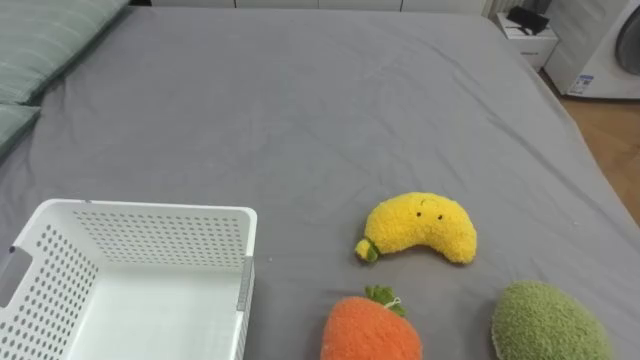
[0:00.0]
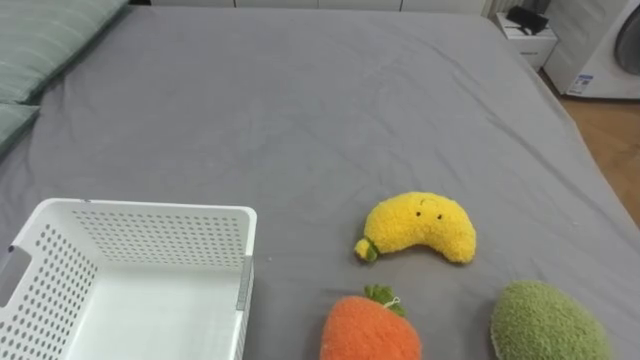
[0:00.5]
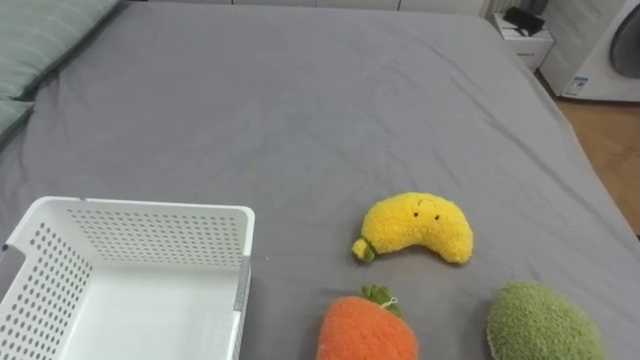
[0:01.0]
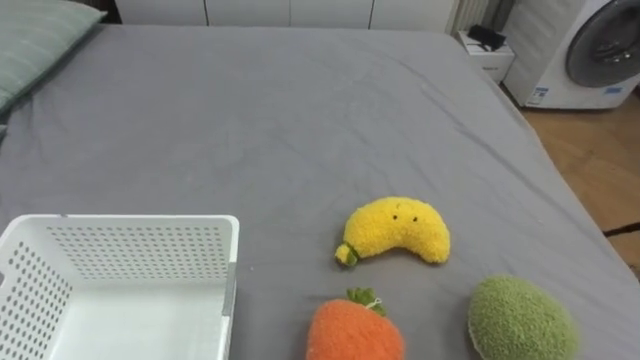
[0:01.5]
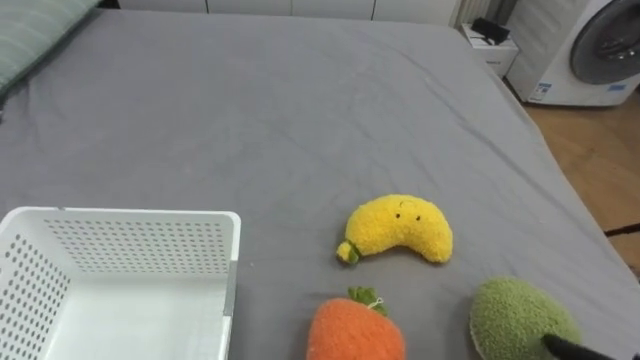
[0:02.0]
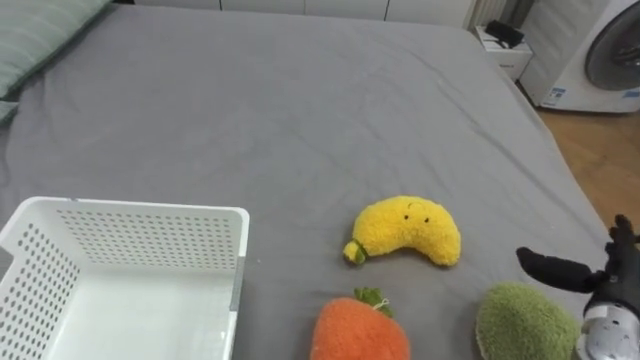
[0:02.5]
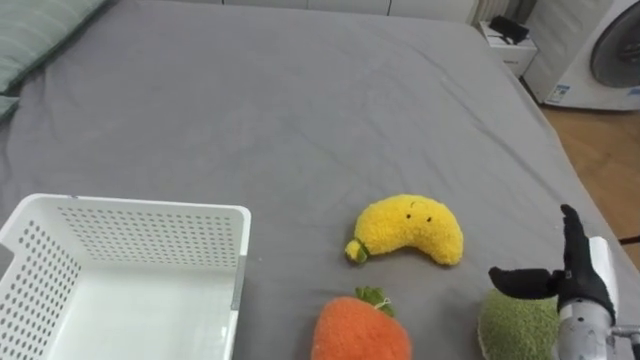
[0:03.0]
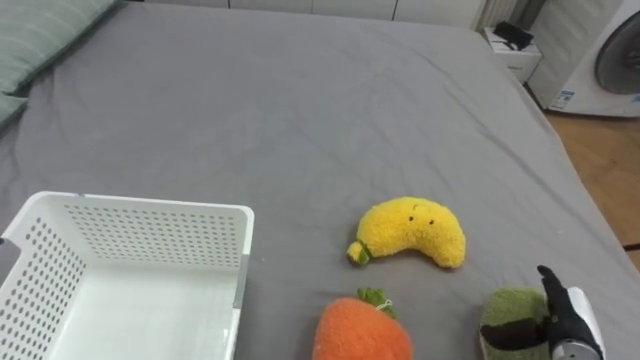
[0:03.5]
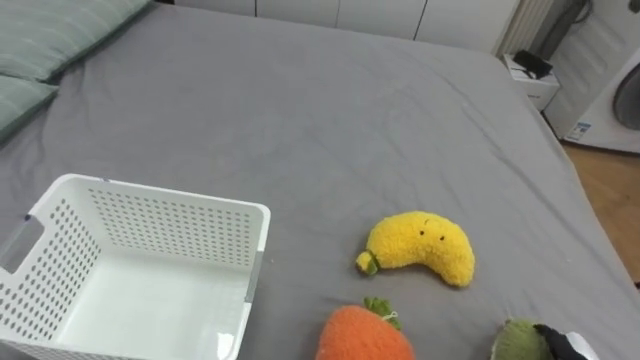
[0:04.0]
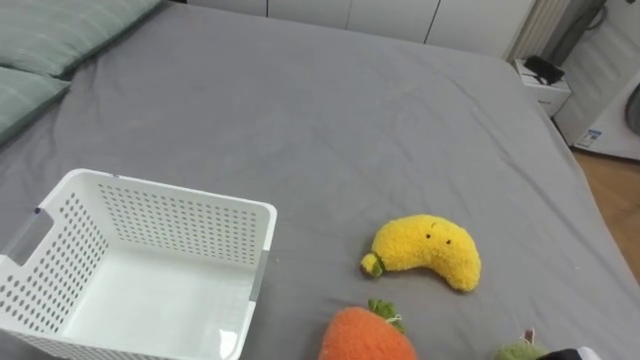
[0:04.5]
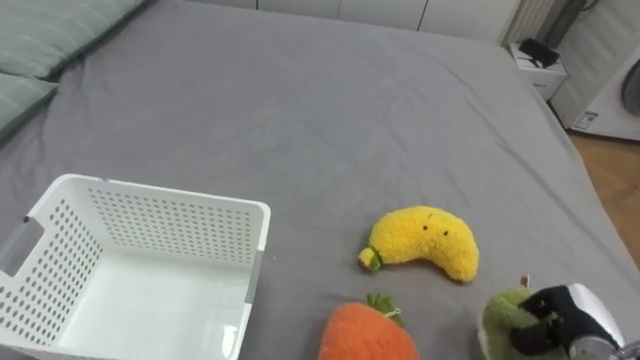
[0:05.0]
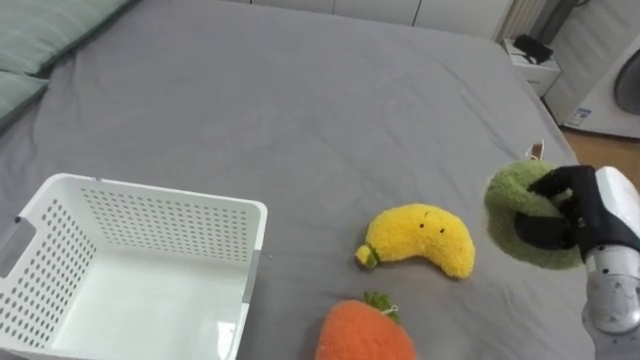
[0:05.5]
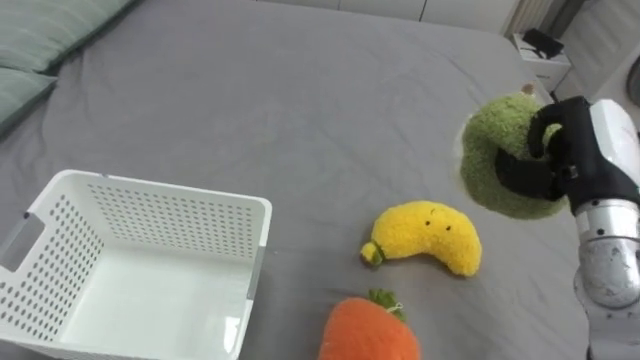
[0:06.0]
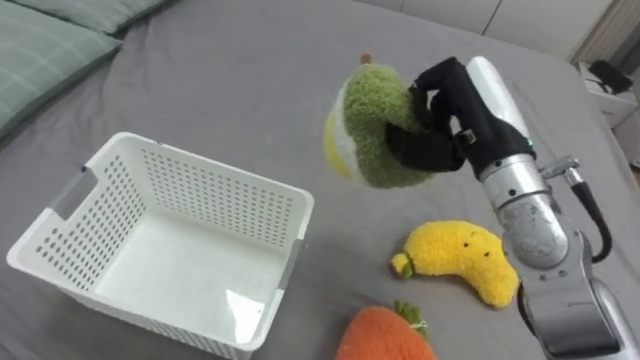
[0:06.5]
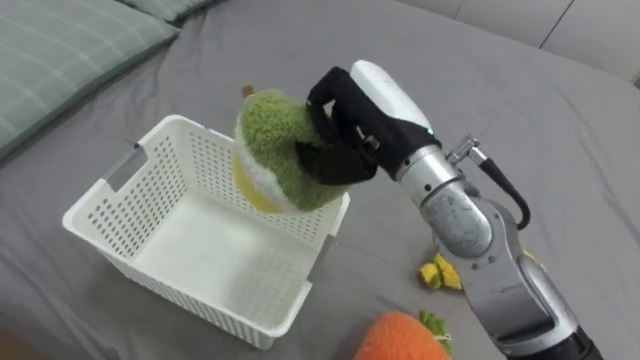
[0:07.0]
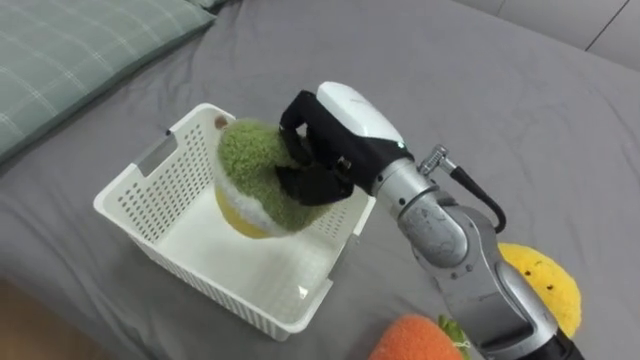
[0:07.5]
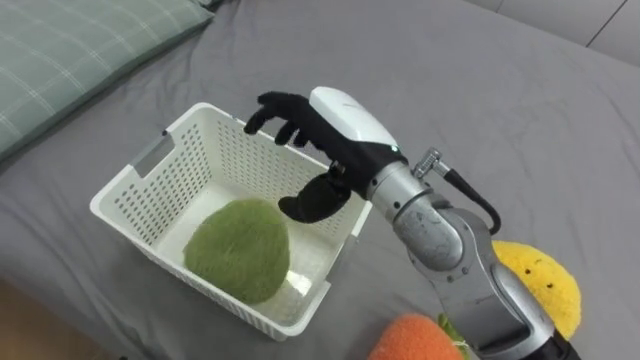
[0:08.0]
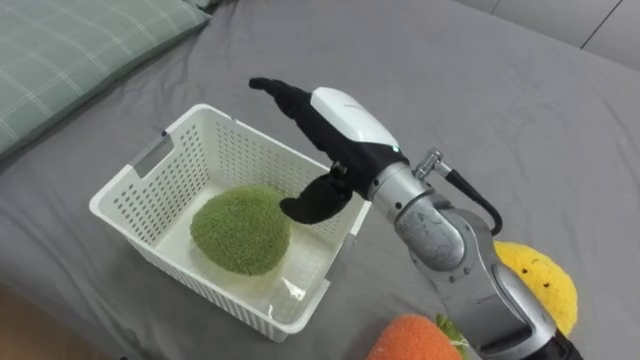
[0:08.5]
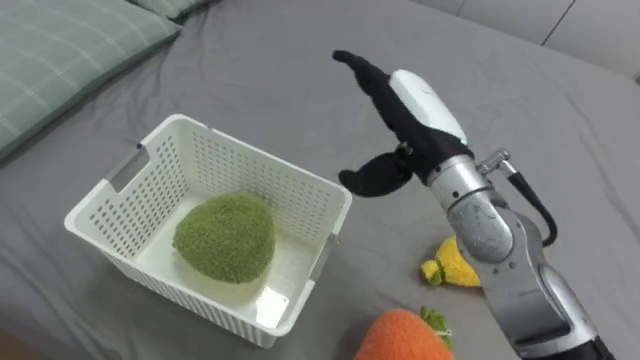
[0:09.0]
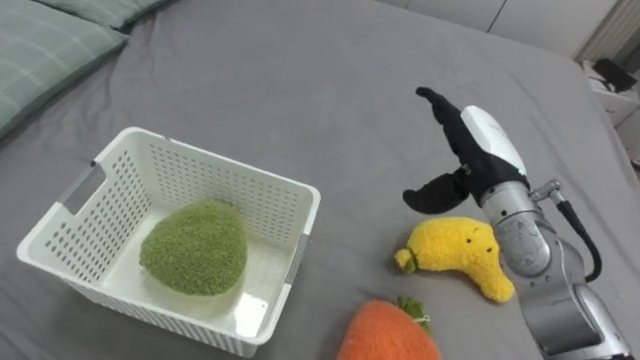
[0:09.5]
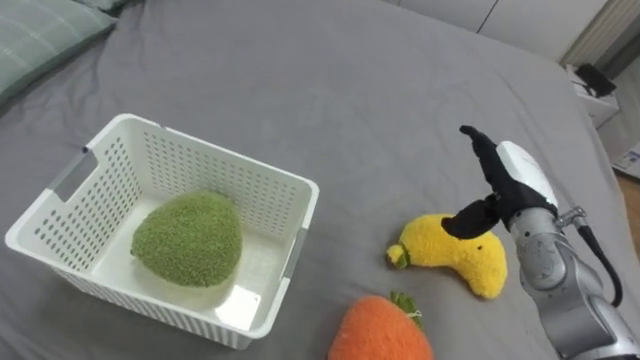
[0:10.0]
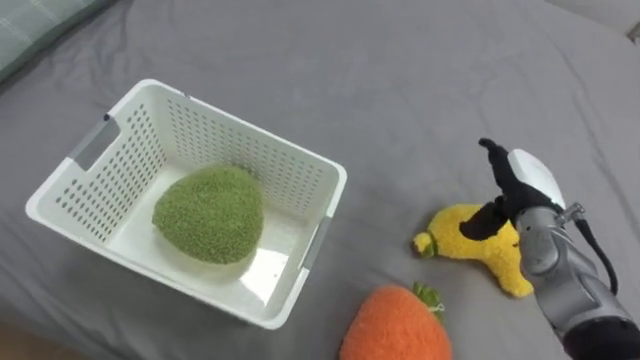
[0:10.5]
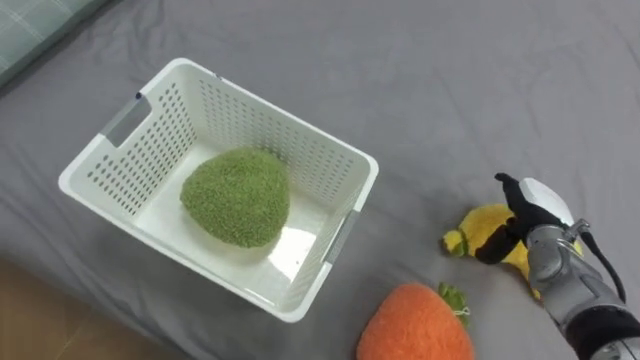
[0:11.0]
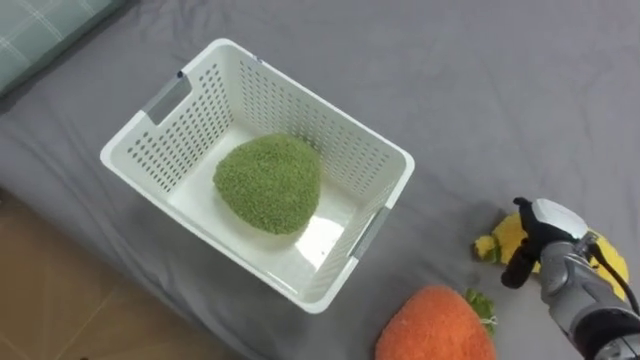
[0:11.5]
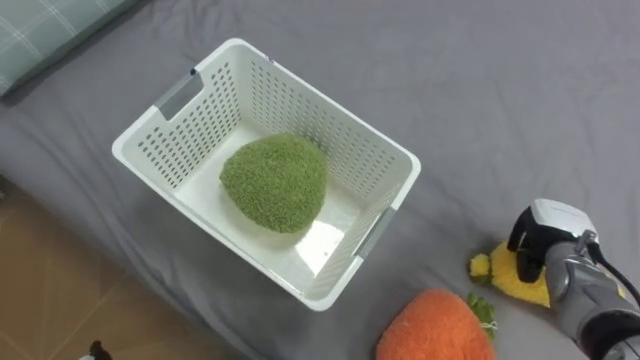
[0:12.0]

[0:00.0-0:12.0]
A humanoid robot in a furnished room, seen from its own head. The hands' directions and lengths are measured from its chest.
Task of the whole recording: Put the toys on the bed into the basket on the left.
0:06.0 to 0:08.0: The right hand moves to the left, approximately 25 cm, and opens its fingers.
0:08.0 to 0:10.0: The right hand is displaced to the right and downward by some 25 cm.
0:10.0 to 0:12.0: The right hand travels downward and to the right by some 10 cm, and closes.

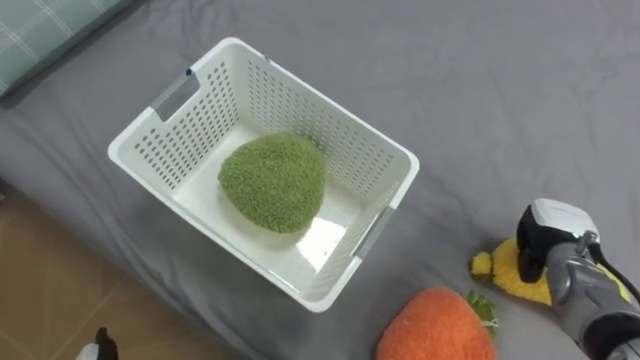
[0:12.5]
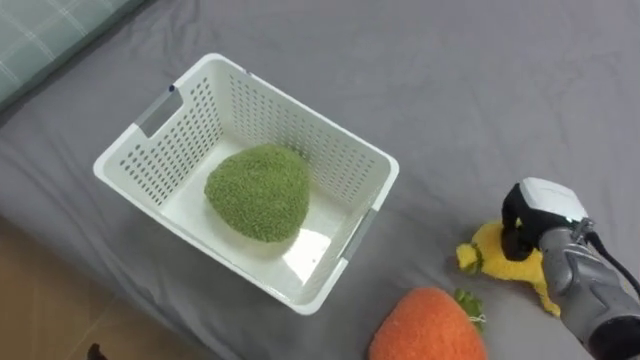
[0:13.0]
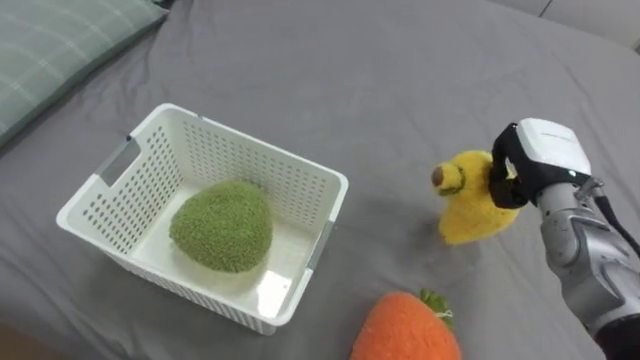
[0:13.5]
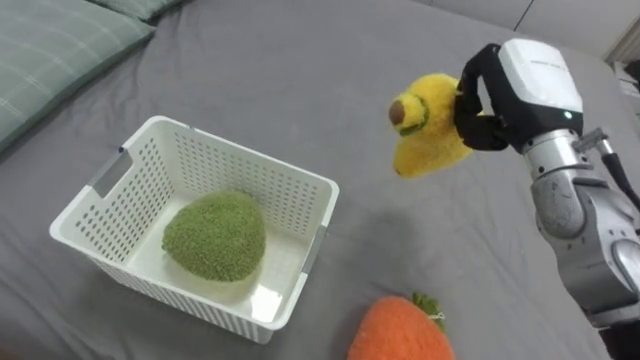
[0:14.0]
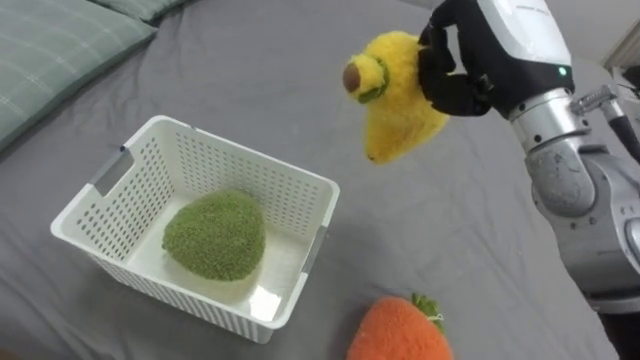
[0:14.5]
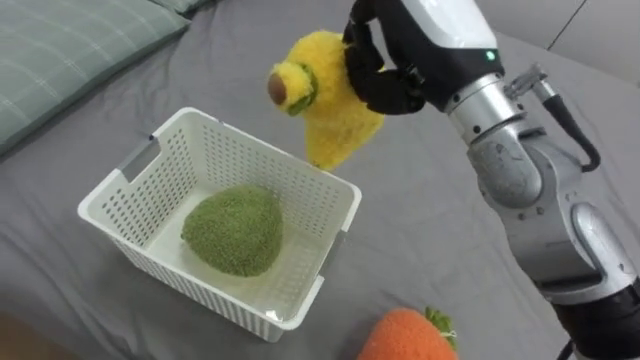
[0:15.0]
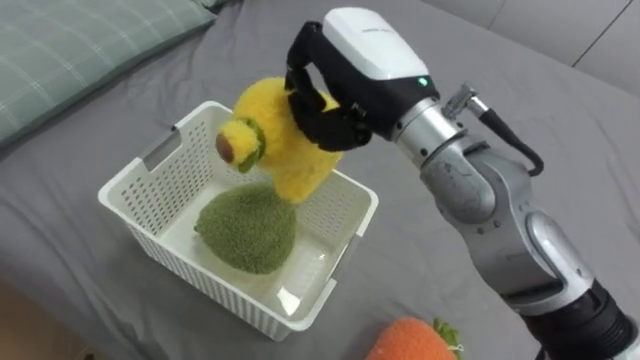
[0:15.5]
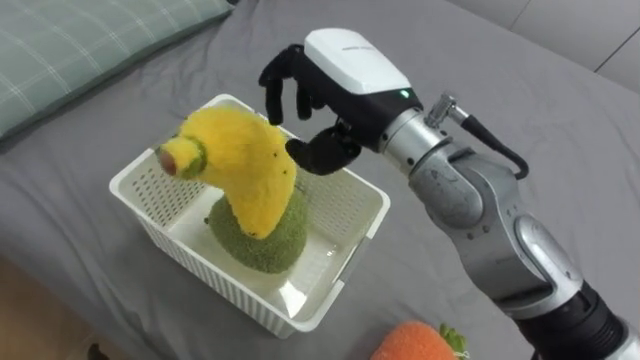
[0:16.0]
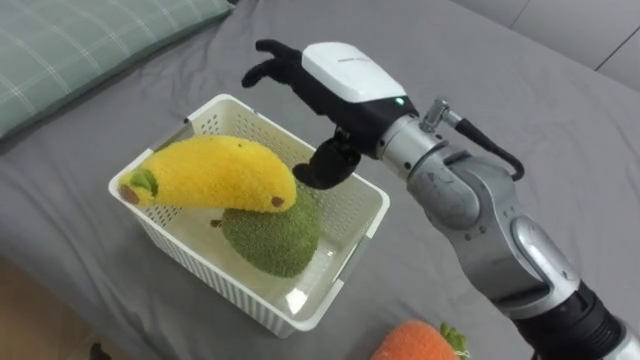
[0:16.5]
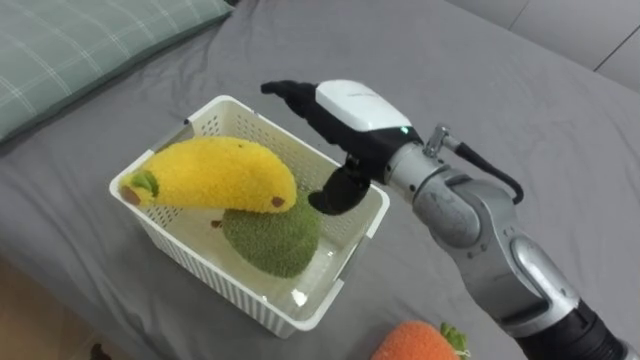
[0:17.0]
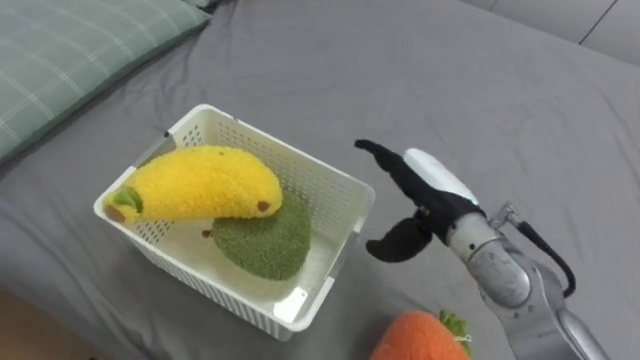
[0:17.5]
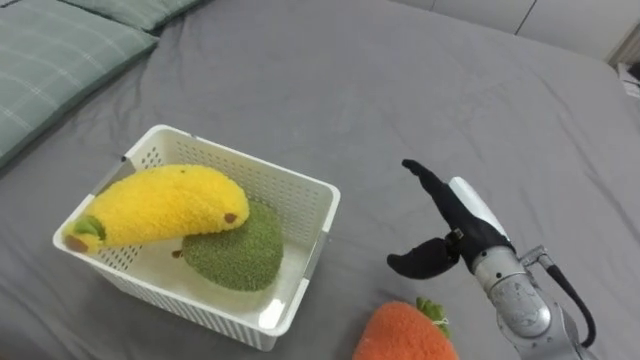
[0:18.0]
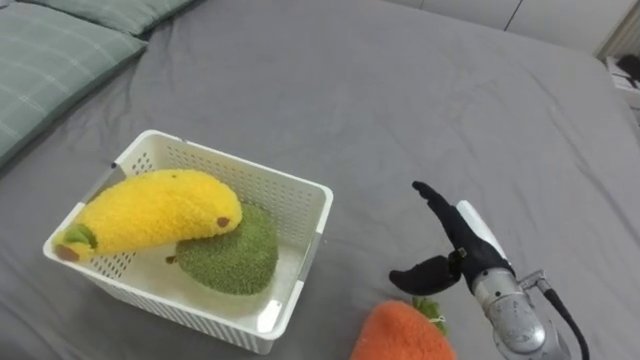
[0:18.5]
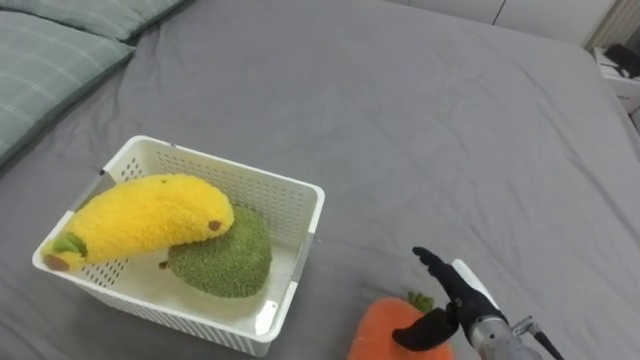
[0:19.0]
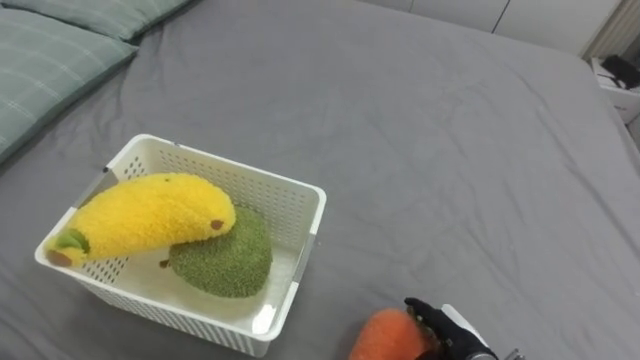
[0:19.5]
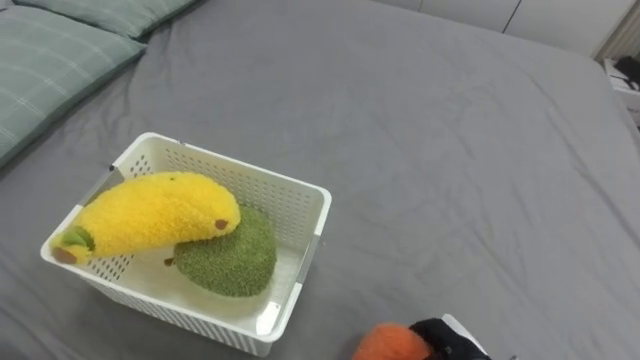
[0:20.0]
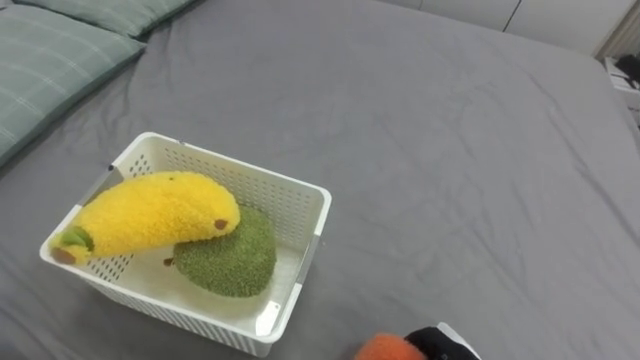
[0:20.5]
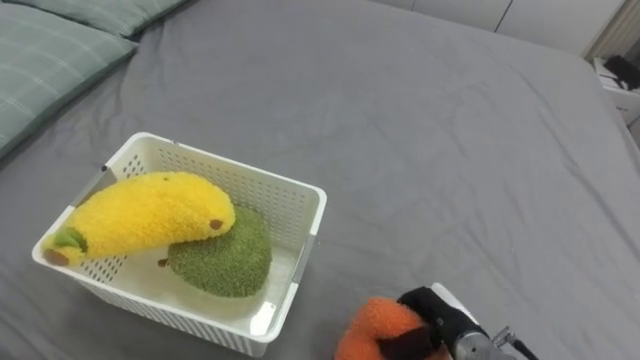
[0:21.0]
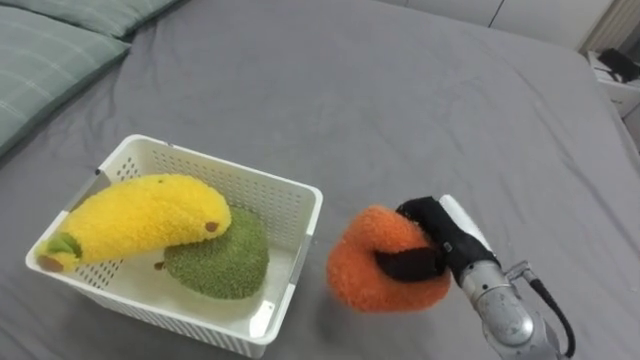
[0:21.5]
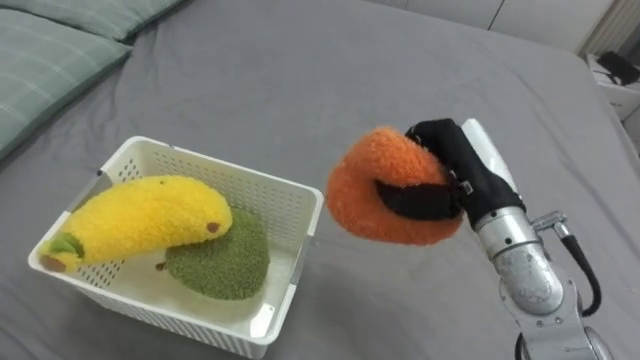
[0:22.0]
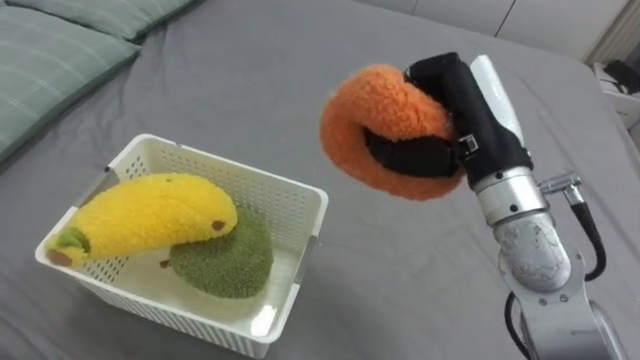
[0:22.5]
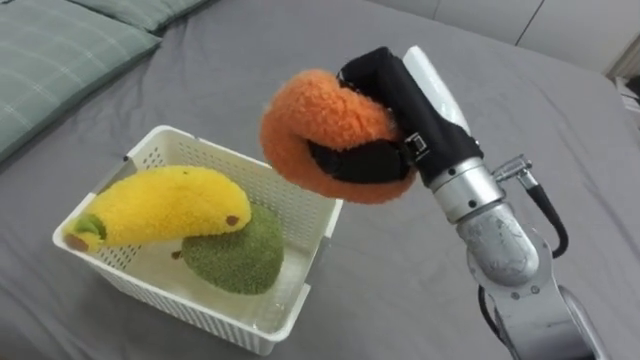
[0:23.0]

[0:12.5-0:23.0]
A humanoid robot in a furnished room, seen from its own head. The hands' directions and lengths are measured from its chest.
Task of the whole recording: Put the toys on the bed into the basket on the left.
0:12.5 to 0:14.5: The right hand travels upward and to the left by some 30 cm.
0:14.5 to 0:16.5: The right hand moves to the left, about 15 cm, and opens.
0:16.5 to 0:19.0: The right hand is displaced downward and to the right by approximately 35 cm.
0:19.0 to 0:21.0: The right hand closes.
0:21.0 to 0:23.0: The right hand is displaced upward by about 30 cm.
